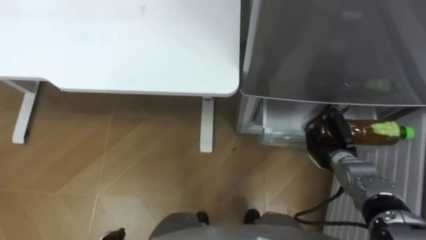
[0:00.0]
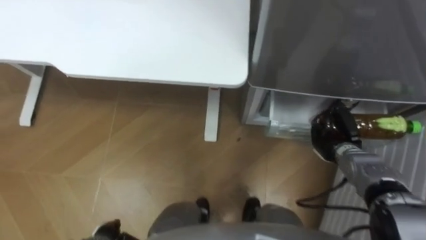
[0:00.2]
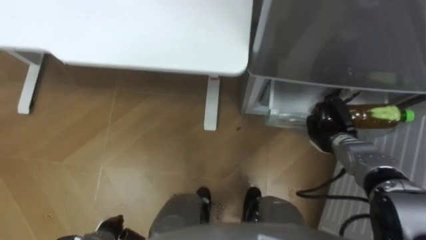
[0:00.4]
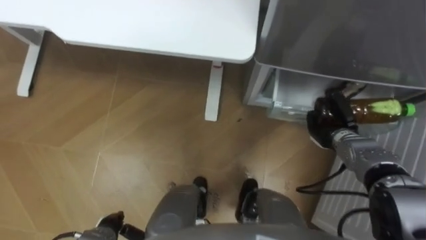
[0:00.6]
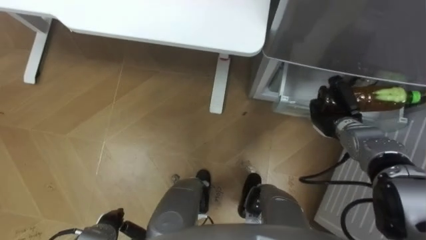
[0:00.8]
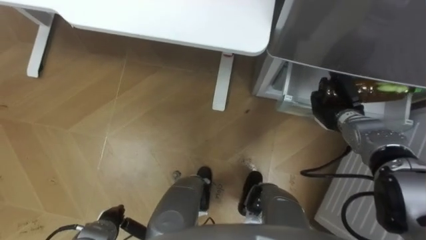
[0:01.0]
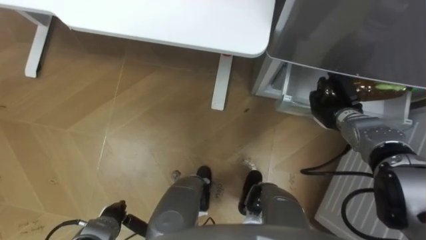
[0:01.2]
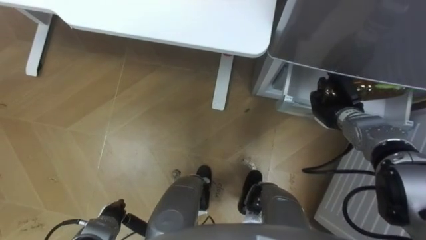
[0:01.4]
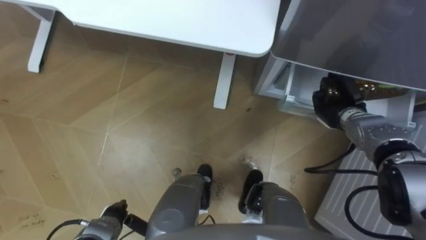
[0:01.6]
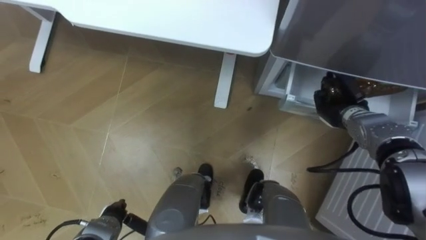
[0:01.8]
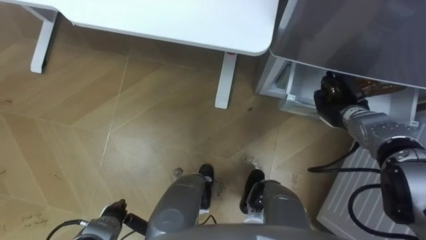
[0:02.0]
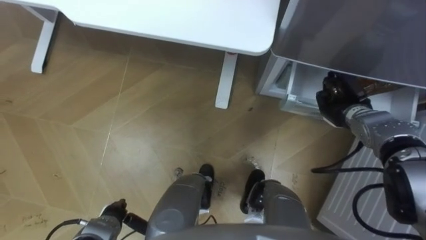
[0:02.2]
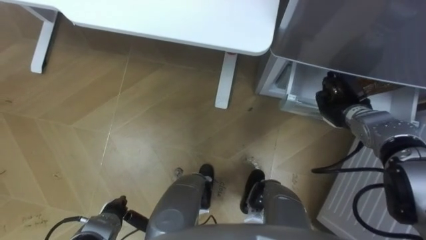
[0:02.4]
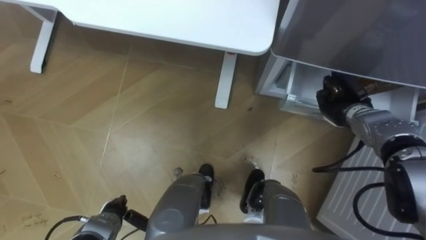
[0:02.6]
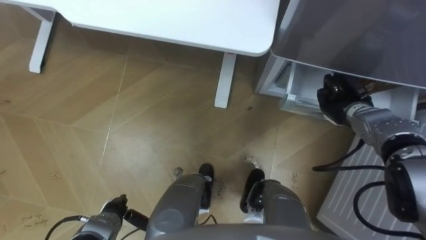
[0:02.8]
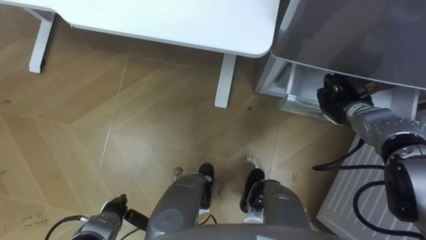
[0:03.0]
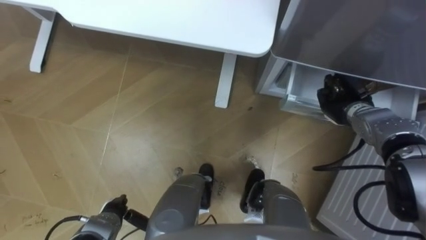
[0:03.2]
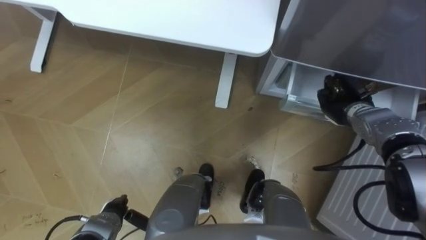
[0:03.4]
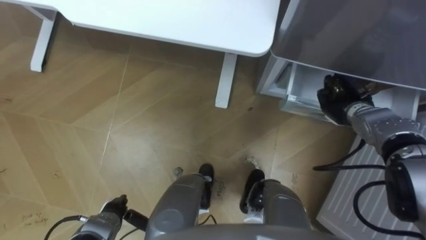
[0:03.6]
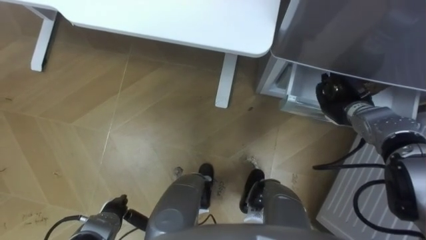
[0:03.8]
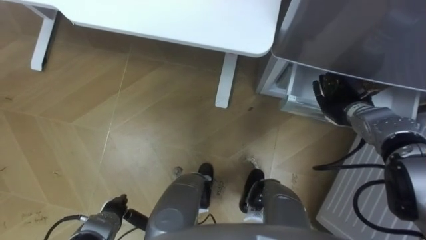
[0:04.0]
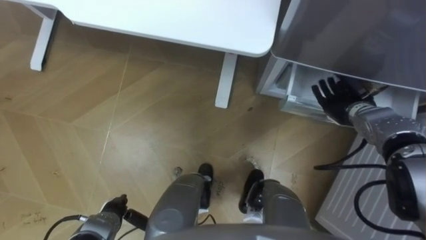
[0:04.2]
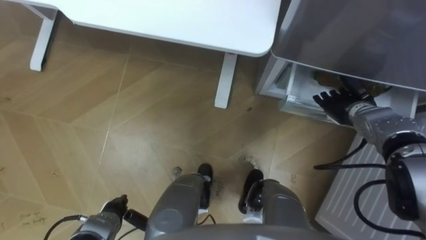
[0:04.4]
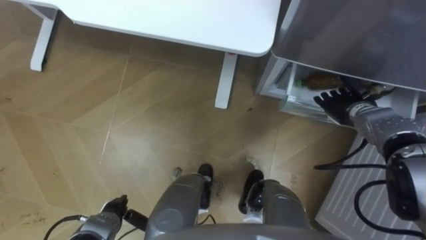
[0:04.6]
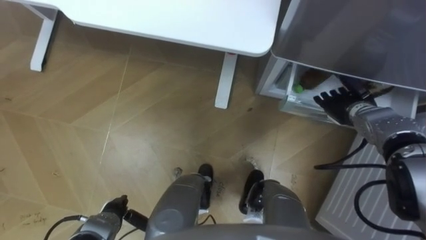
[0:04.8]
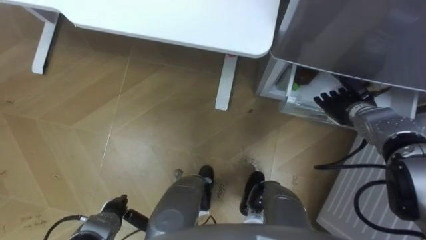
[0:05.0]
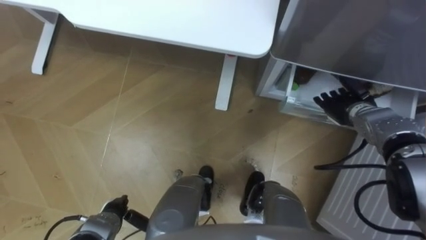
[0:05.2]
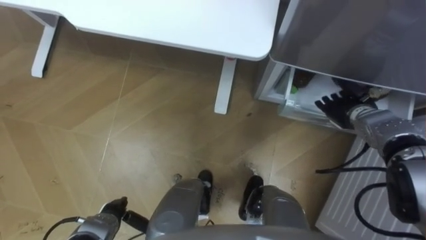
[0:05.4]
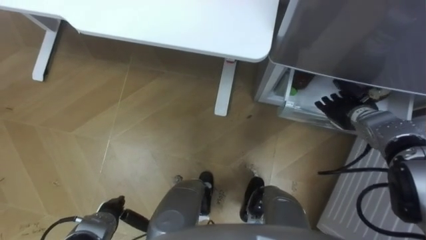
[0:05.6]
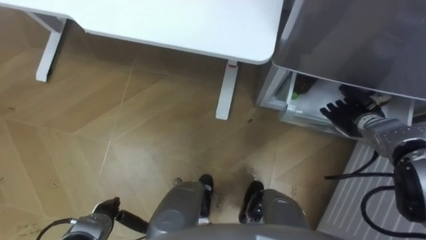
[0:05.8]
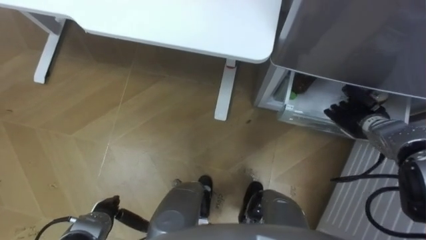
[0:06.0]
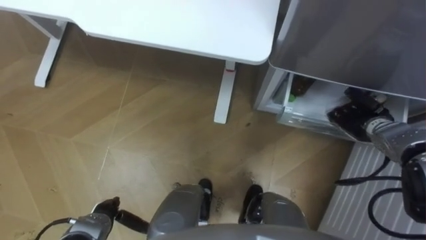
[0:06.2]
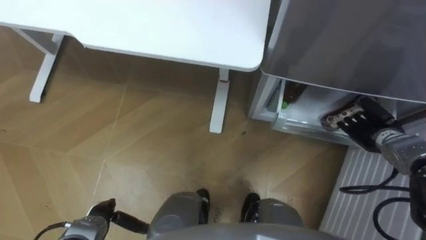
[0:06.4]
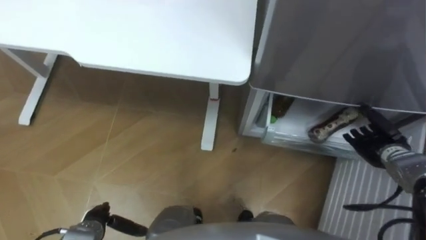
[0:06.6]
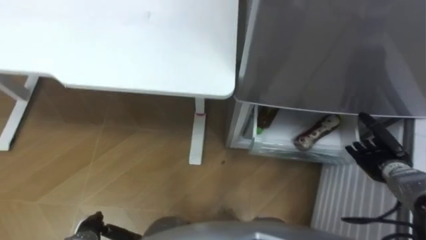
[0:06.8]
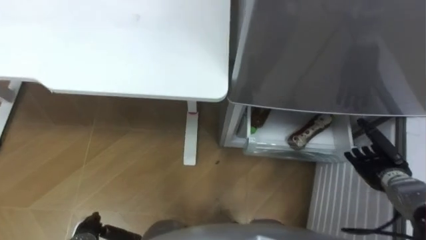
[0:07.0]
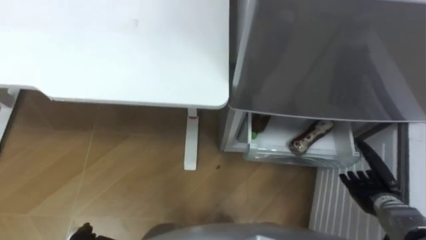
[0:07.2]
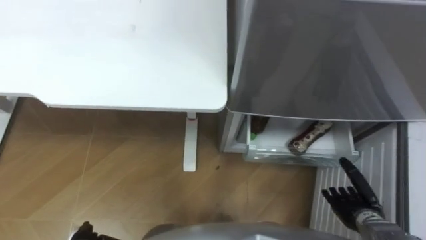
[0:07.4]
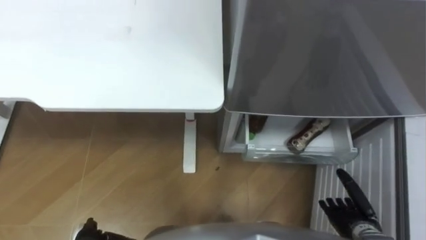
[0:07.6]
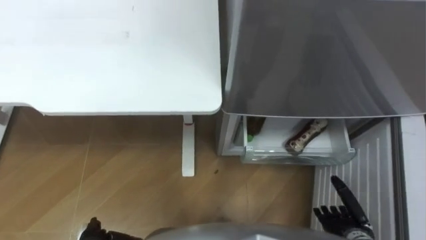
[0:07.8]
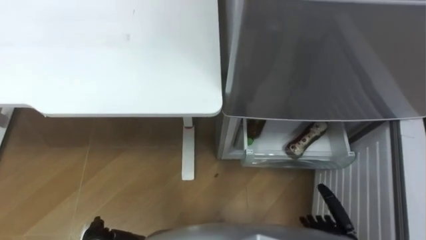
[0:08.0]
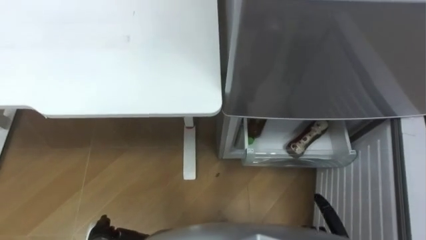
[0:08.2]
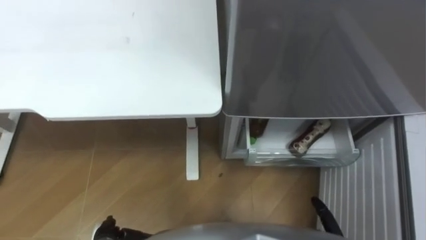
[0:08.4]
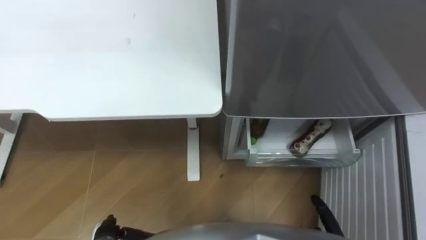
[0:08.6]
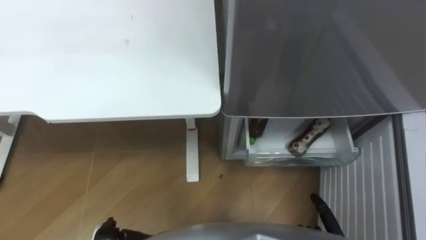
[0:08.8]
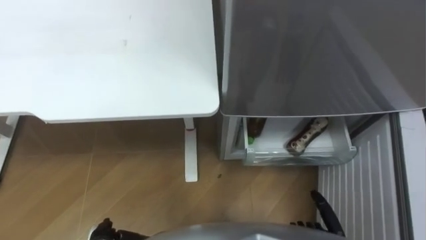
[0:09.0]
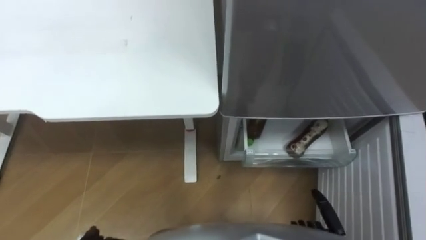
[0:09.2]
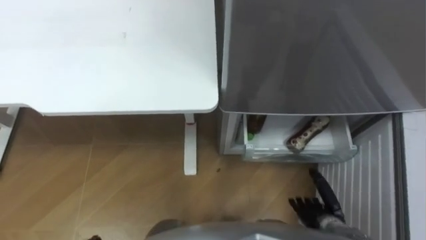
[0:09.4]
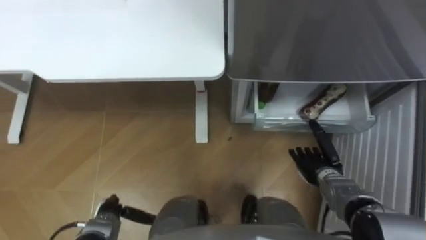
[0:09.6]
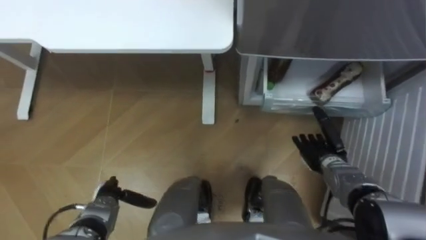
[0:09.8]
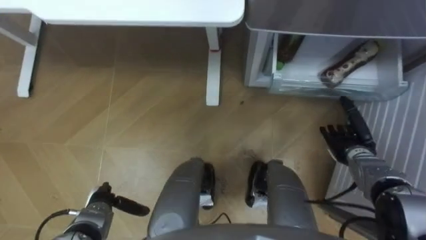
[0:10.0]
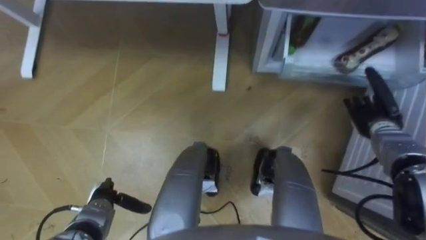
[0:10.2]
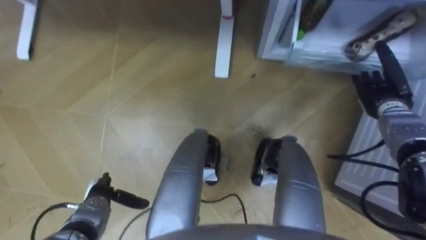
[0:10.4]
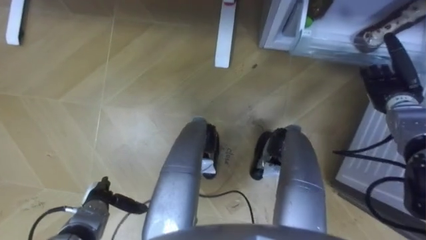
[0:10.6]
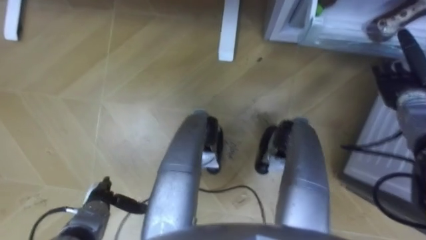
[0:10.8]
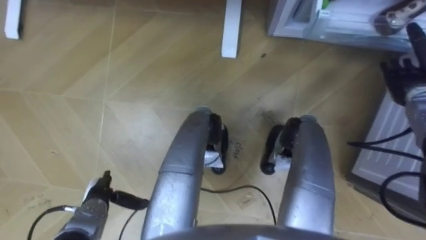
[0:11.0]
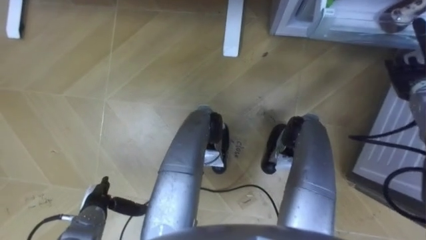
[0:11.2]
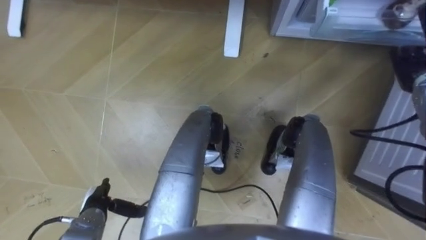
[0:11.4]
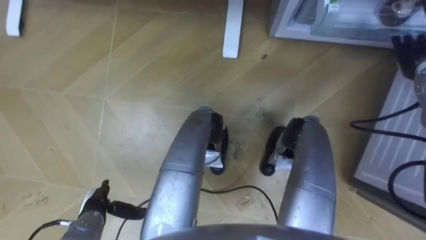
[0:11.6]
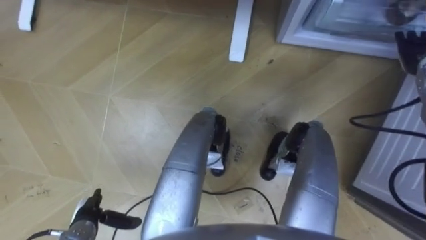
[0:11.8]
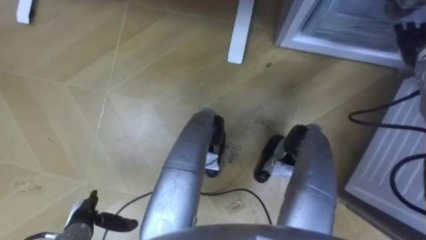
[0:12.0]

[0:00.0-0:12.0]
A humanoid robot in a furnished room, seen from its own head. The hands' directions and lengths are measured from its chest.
Task of the whole recording: Place the drink on the table on the bottom shelf of the refrigerator, then close the drawer and the refrigerator door.
0:00.0 to 0:01.6: The right hand goes approximately 10 cm forward and upward.
0:03.0 to 0:04.4: The right hand opens its fingers.
0:06.0 to 0:07.6: The right hand travels backward and downward by roughly 25 cm.
0:10.4 to 0:12.0: The right hand goes approximately 10 cm upward and forward, while the left hand travels backward by some 5 cm.

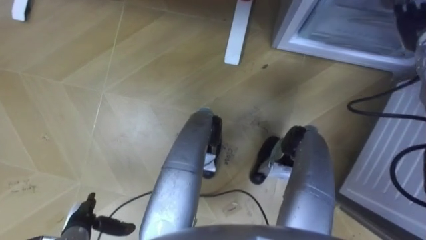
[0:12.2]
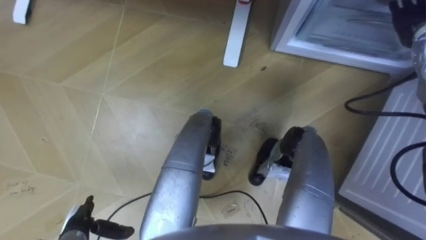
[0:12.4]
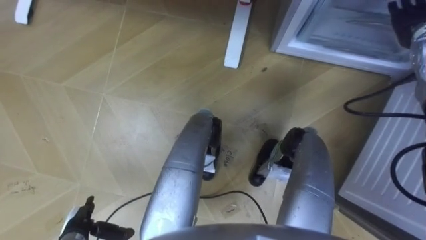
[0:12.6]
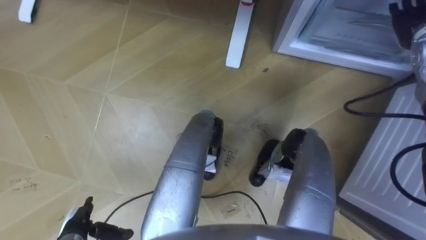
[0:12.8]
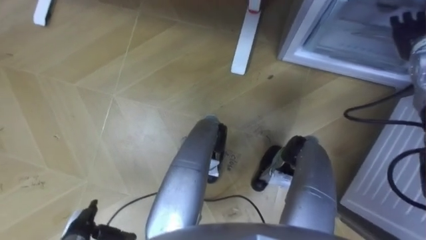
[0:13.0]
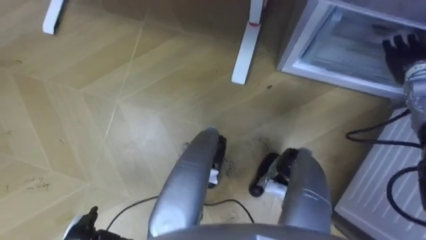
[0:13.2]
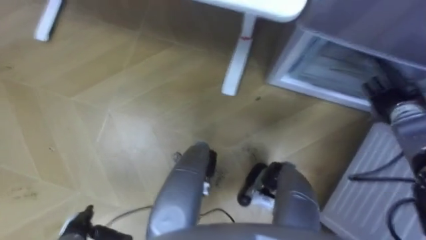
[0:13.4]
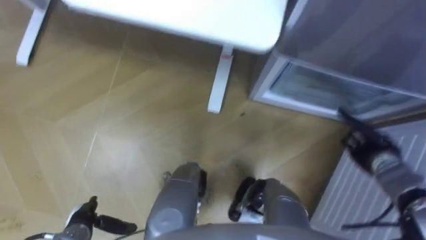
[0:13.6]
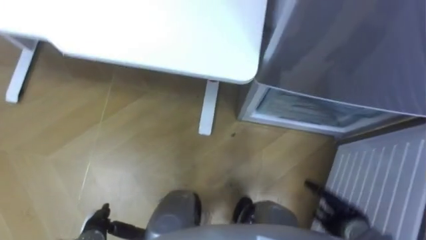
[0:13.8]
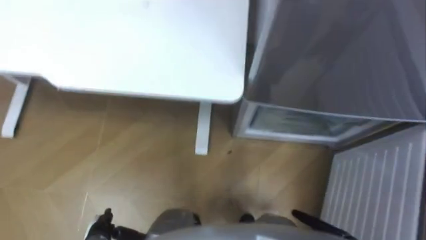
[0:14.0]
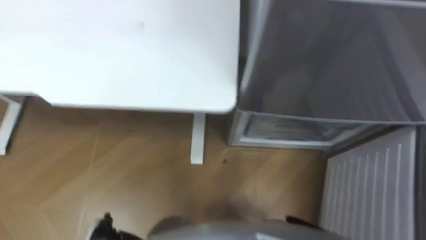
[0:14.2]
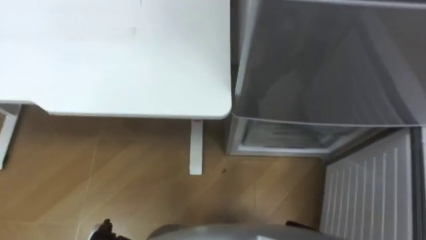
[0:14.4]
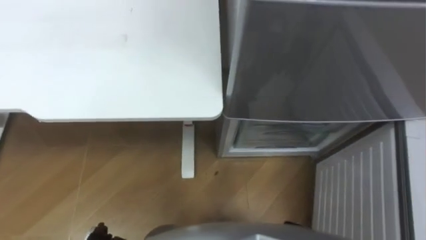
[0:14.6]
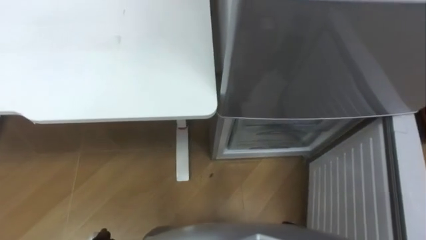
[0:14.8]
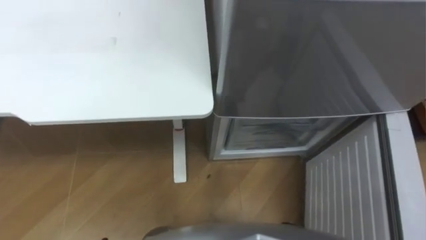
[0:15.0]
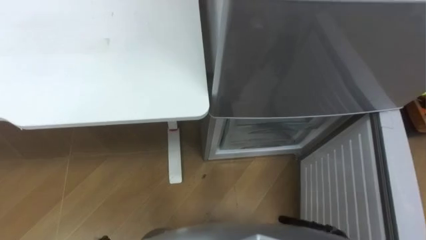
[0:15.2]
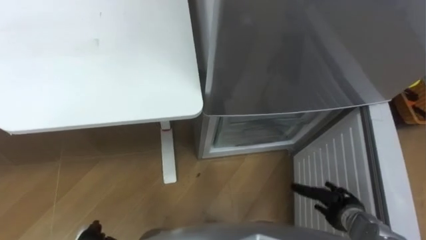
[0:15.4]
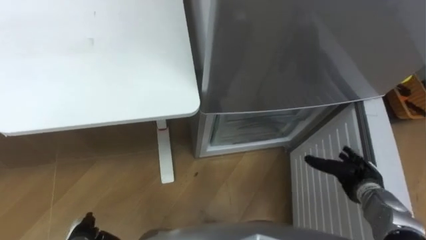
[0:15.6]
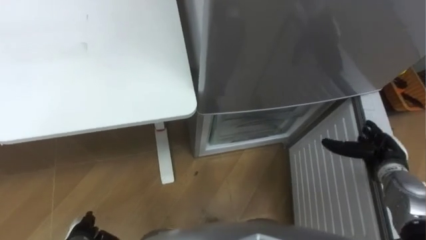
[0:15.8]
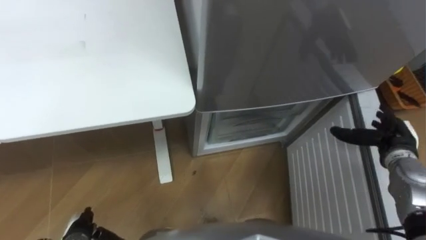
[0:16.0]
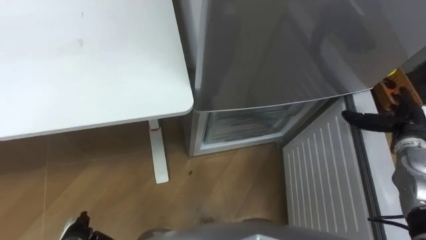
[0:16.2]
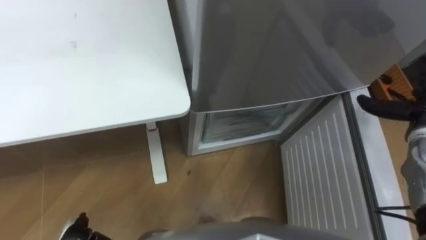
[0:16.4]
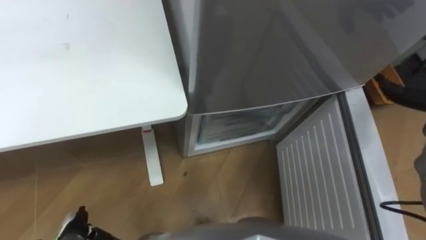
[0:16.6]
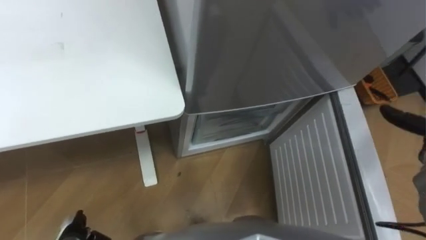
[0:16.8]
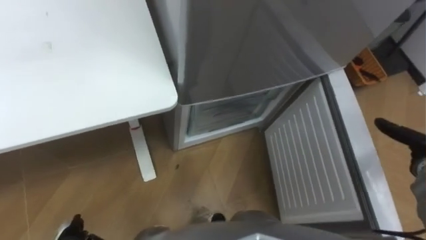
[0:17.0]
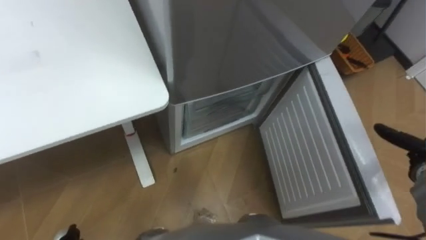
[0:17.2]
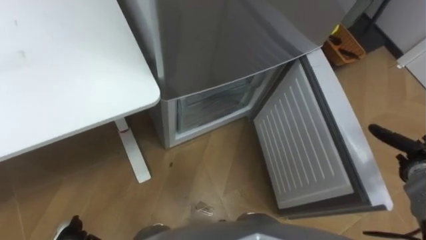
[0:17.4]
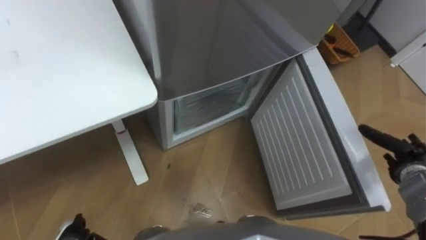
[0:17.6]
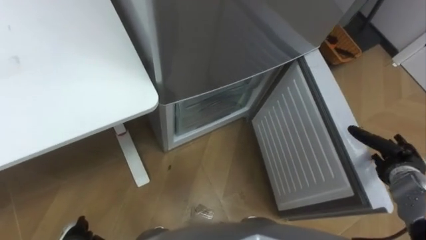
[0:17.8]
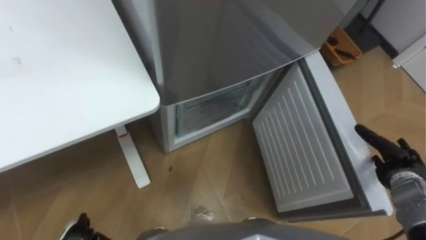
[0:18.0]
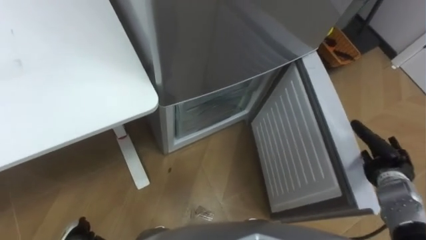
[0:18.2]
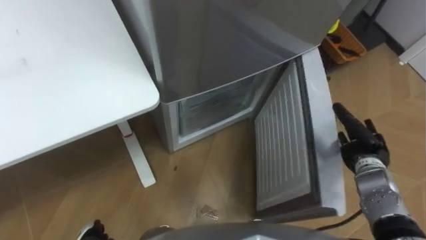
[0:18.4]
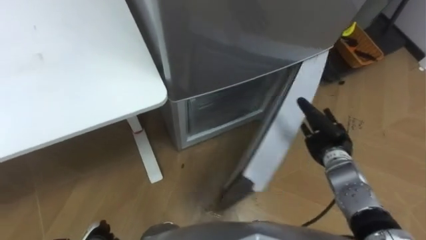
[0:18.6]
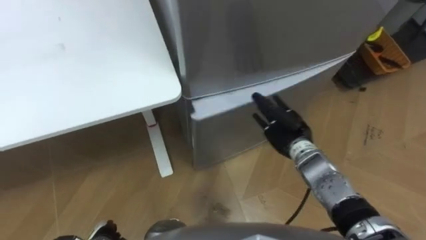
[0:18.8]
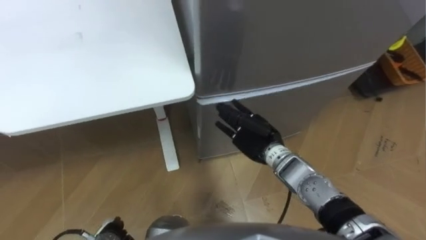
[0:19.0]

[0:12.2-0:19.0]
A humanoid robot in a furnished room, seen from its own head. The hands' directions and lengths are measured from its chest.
Task of the whole recording: Place the drink on the table on the bottom shelf of the refrigerator, then close the drawer and the refrigerator door.
0:12.2 to 0:13.6: The right hand moves downward and backward, roughly 25 cm.
0:16.2 to 0:17.6: The robot's body swings about 15 degrees to its right.
0:17.6 to 0:19.0: The right hand moves to the left, roughly 30 cm.
